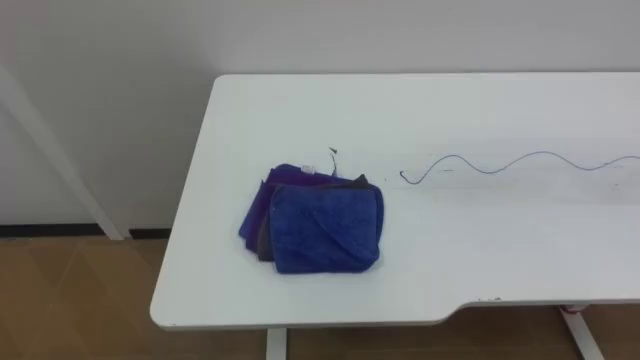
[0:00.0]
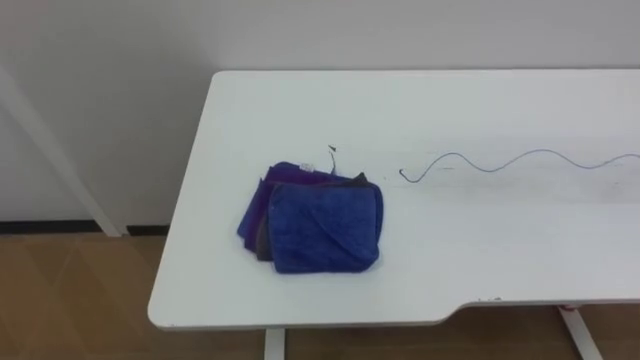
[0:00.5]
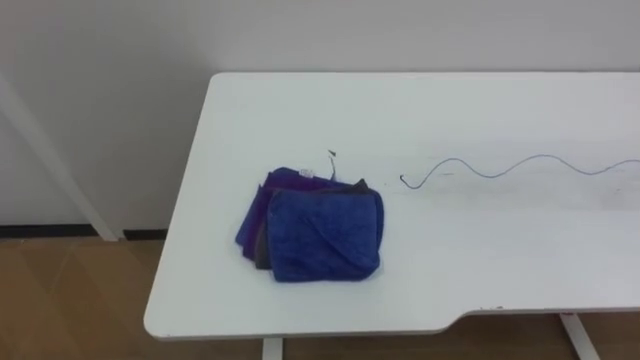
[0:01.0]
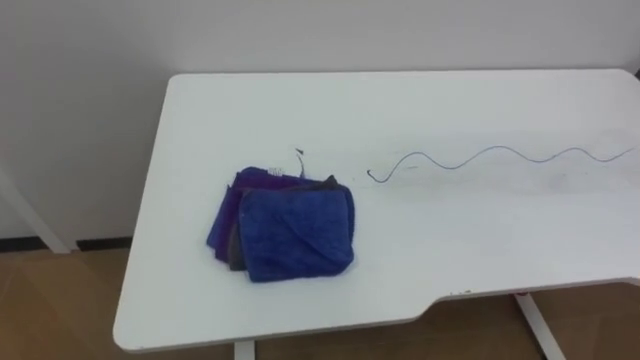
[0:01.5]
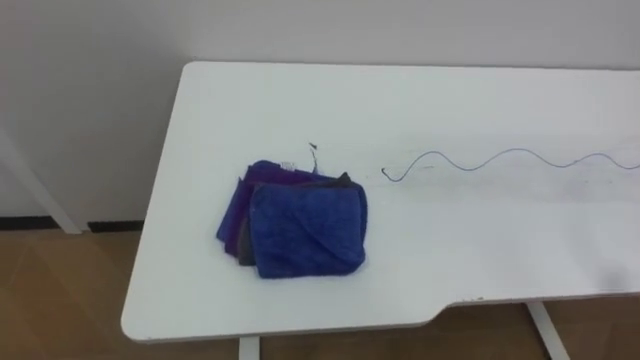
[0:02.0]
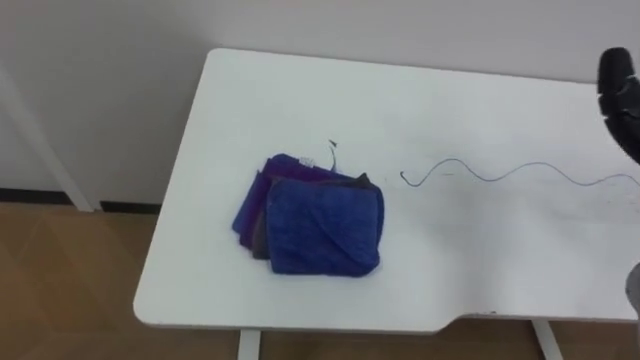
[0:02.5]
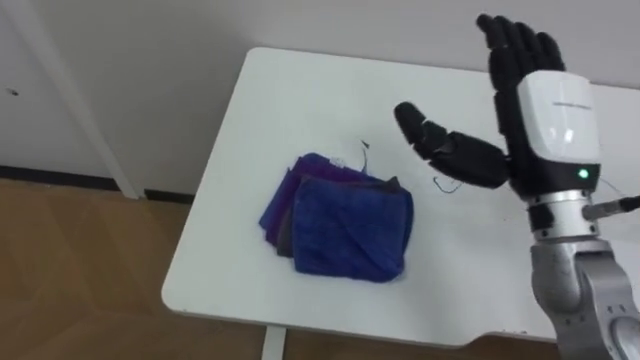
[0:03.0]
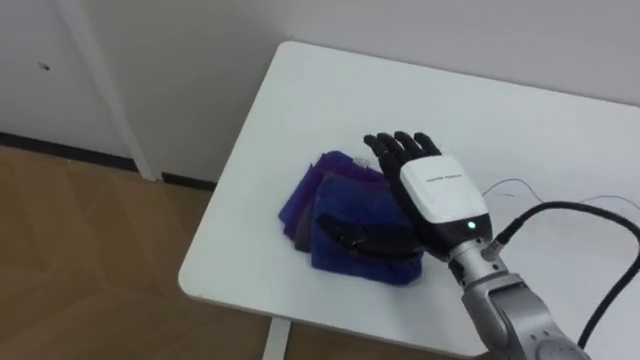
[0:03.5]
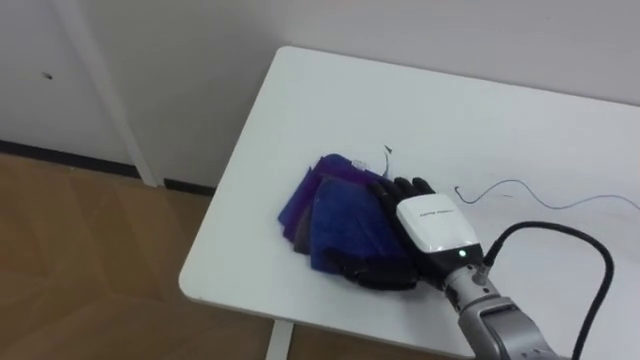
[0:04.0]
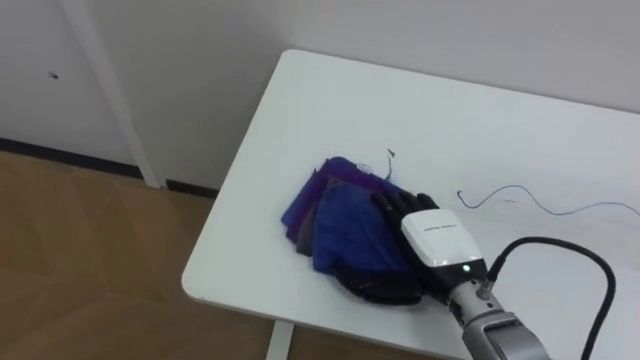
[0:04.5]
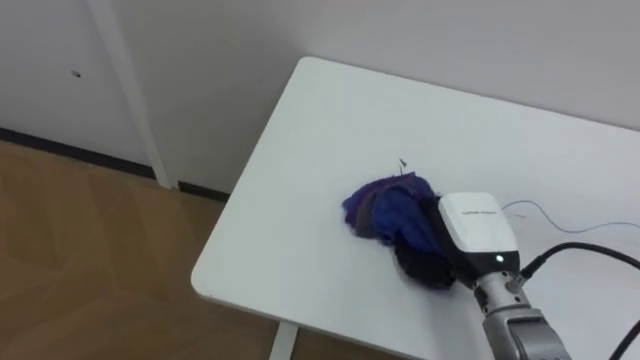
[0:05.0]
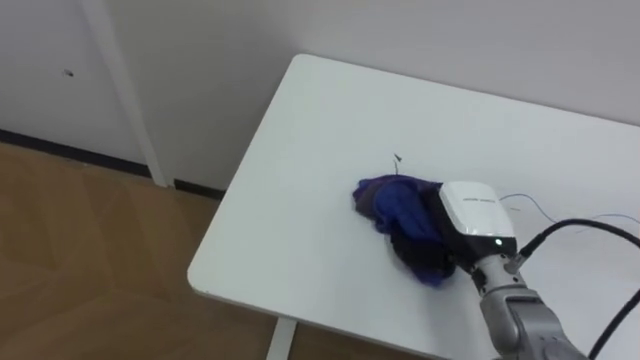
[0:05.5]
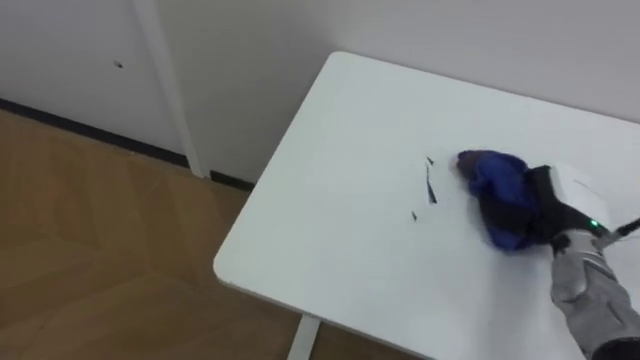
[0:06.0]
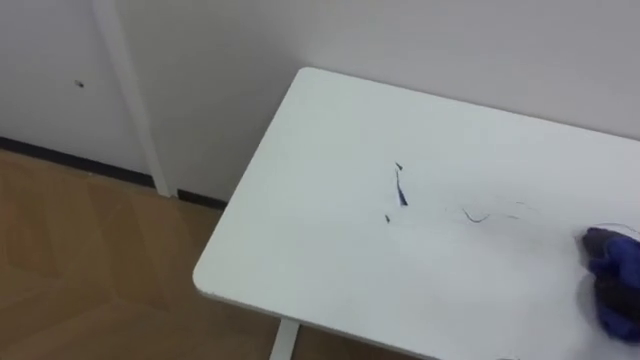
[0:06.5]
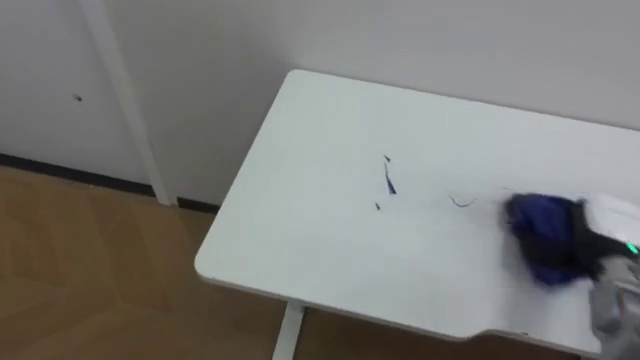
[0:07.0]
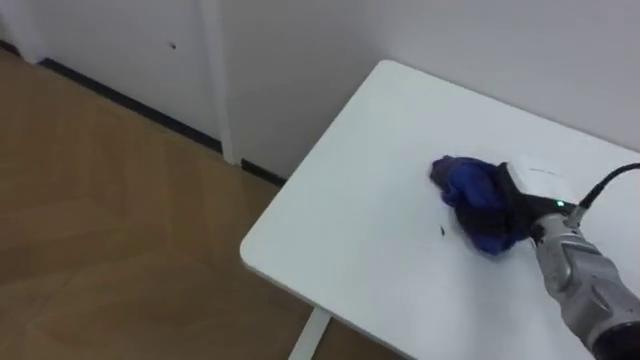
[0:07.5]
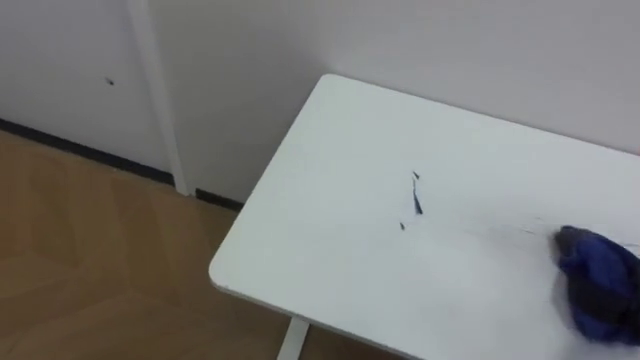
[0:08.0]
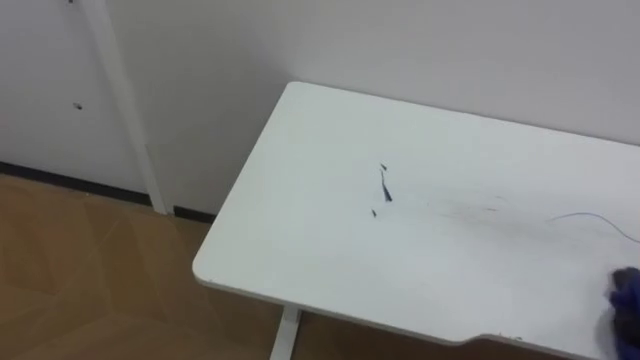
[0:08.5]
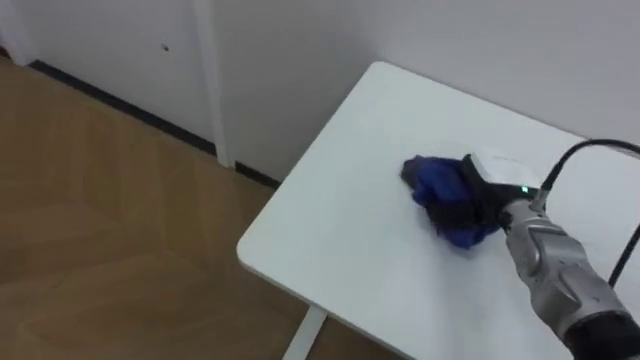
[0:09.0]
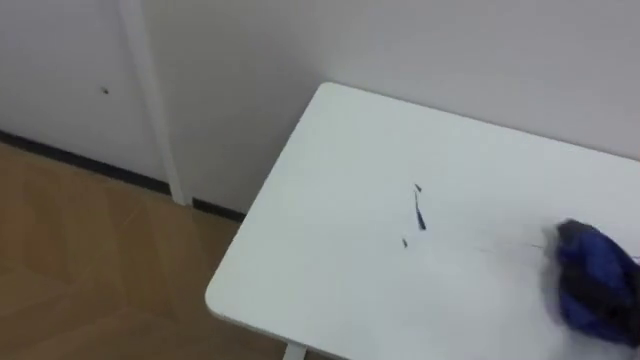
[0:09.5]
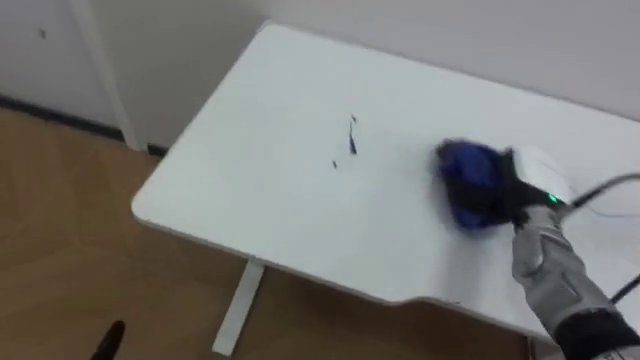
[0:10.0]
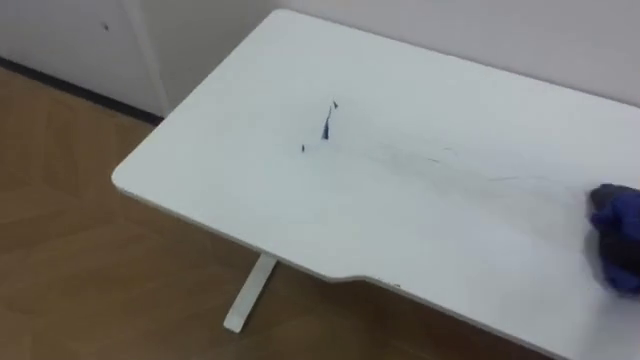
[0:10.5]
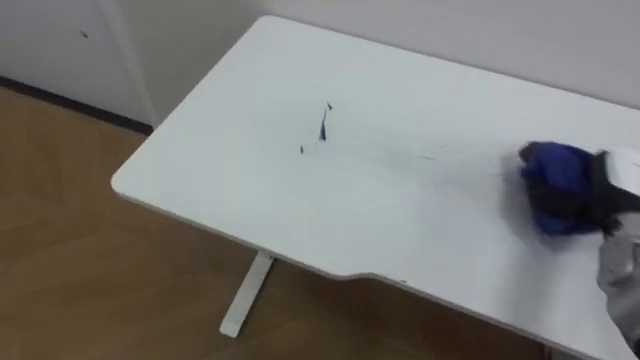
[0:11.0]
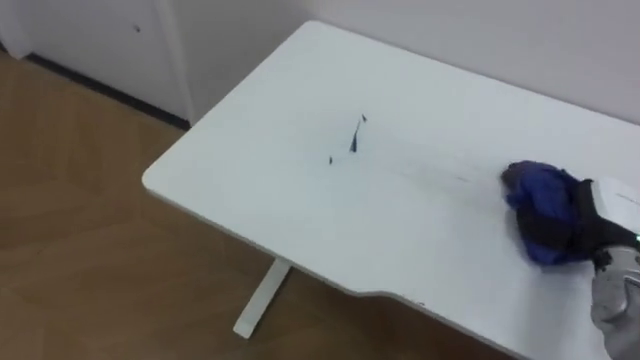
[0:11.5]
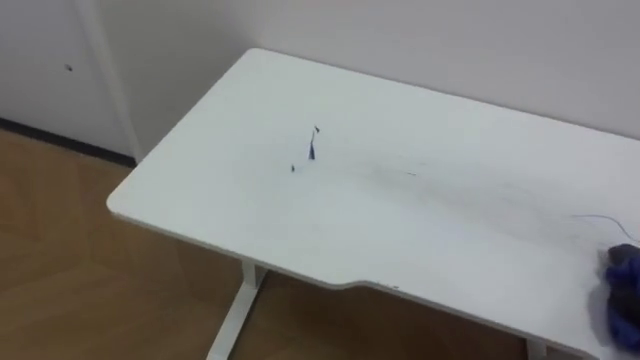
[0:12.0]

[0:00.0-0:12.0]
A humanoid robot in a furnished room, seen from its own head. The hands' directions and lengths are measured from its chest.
Task of the whole recording: Wipe the blue pen marks off the table with the rag.
0:04.0 to 0:06.0: The right hand travels to the right by roughly 20 cm, and closes up.

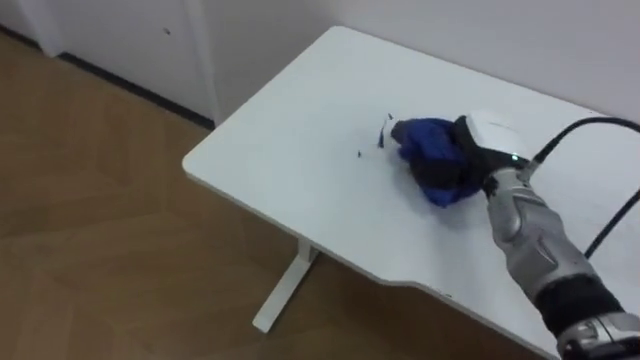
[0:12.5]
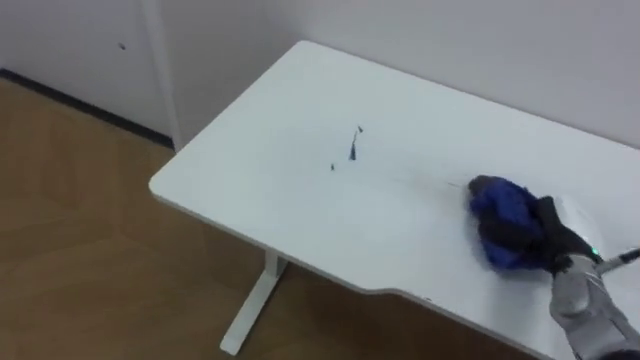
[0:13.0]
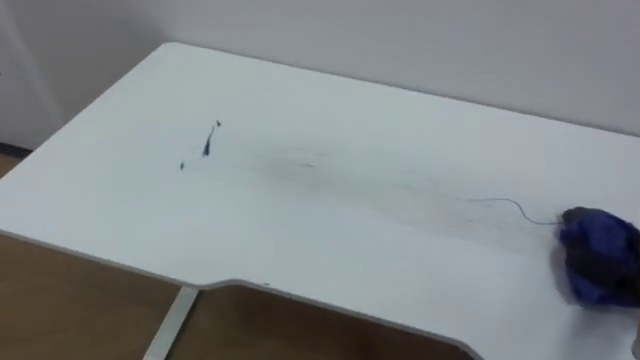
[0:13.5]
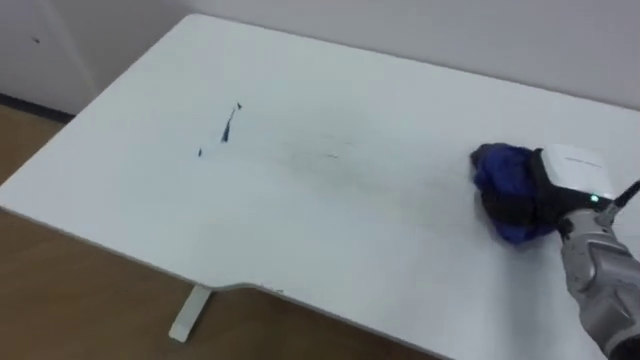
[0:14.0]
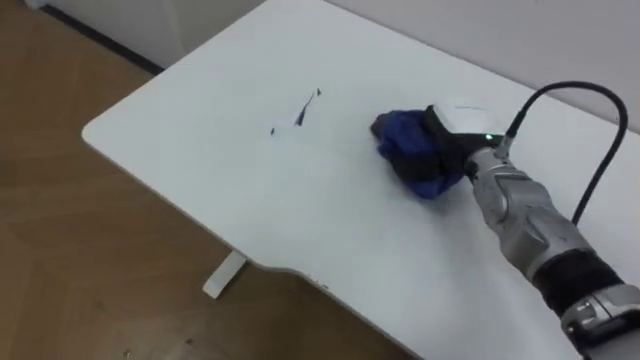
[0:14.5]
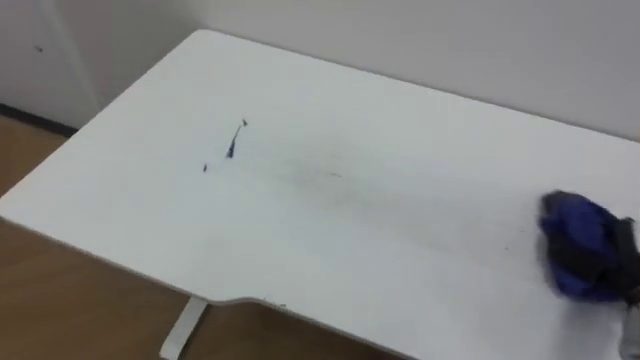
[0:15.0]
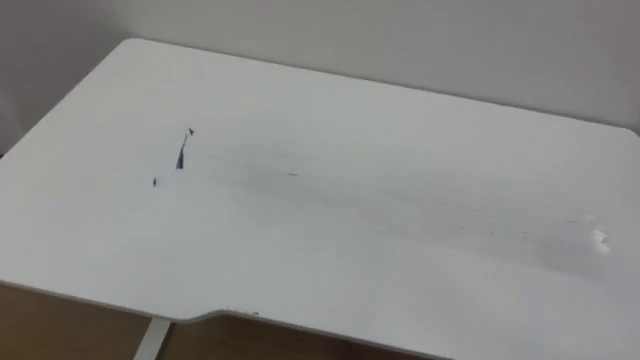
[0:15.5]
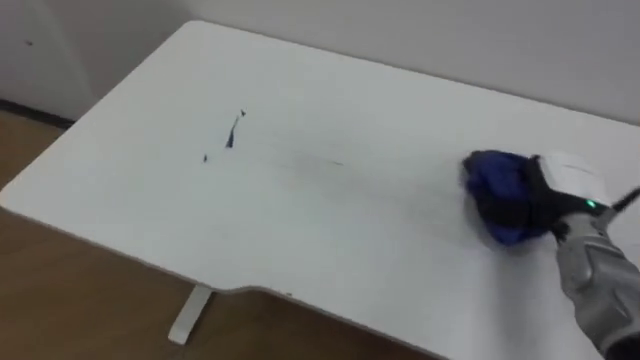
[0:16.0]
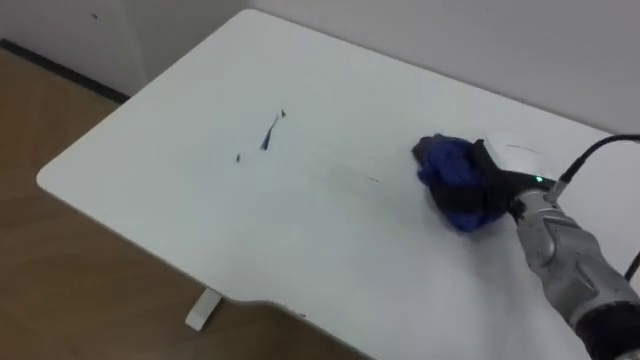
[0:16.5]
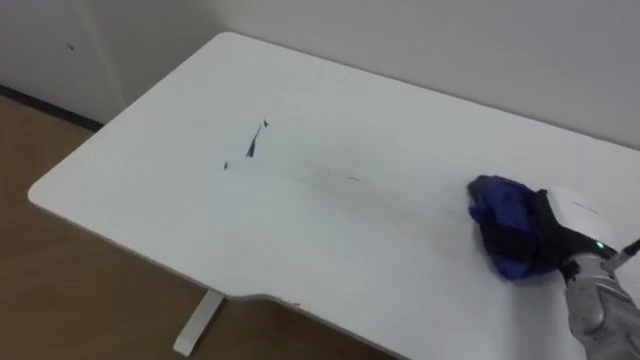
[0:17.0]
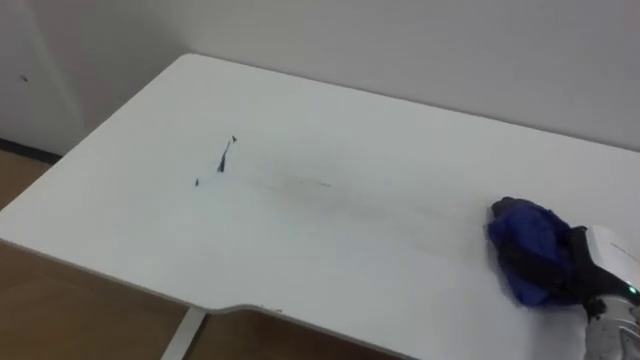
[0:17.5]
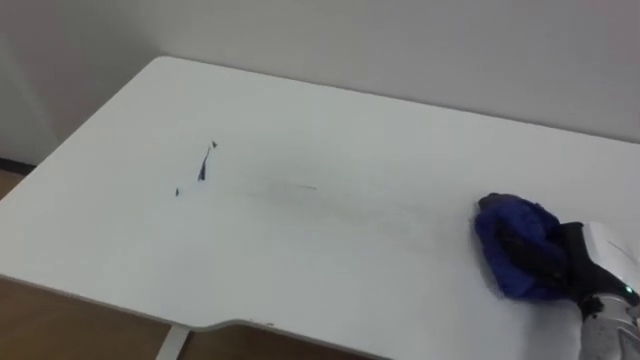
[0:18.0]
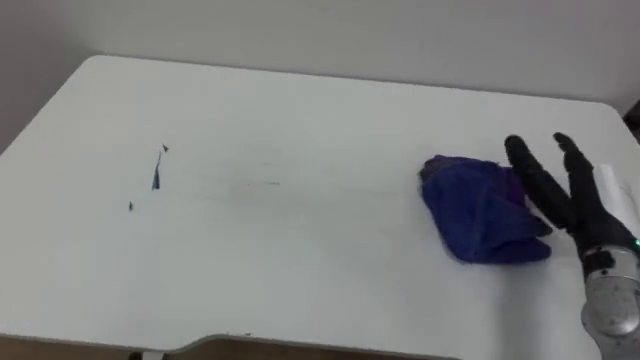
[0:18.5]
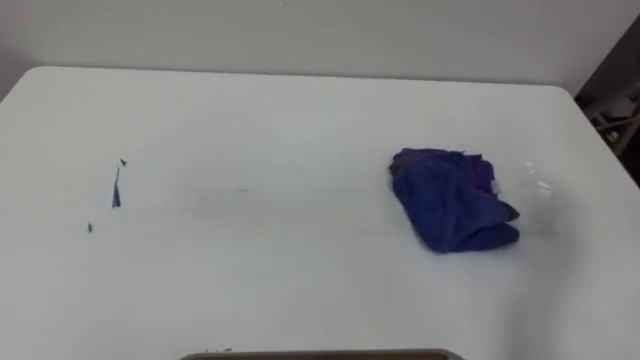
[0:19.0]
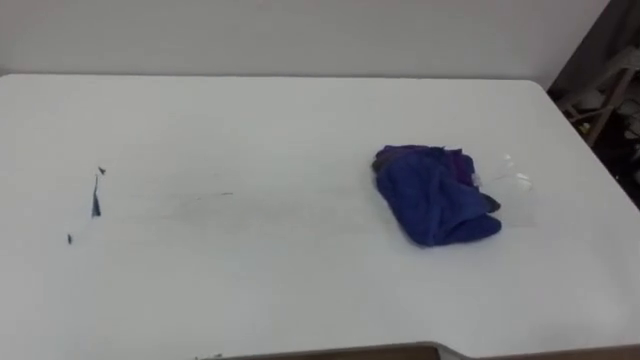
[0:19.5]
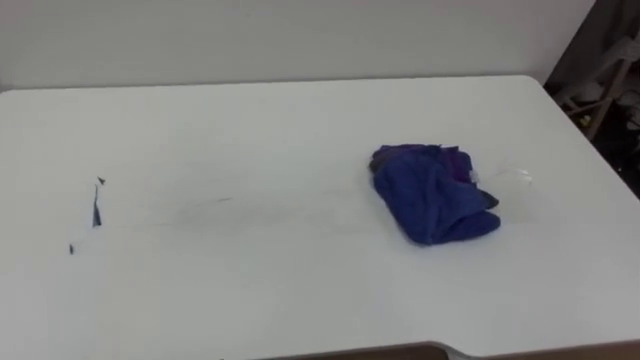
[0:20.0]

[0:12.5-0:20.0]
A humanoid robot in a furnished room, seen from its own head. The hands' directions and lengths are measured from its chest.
Task of the whole recording: Wipe the blue pen marks off the table with the rag.
0:16.5 to 0:18.0: The right hand goes about 15 cm backward, to the right and downward, and opens.

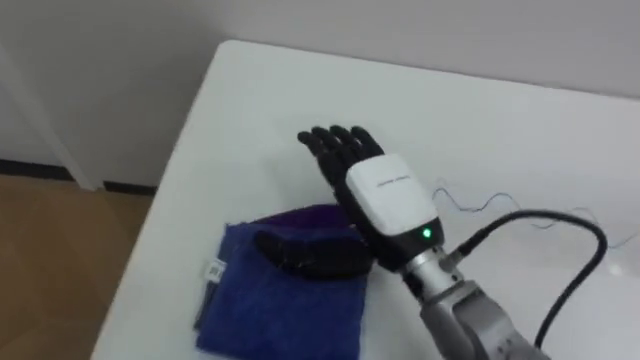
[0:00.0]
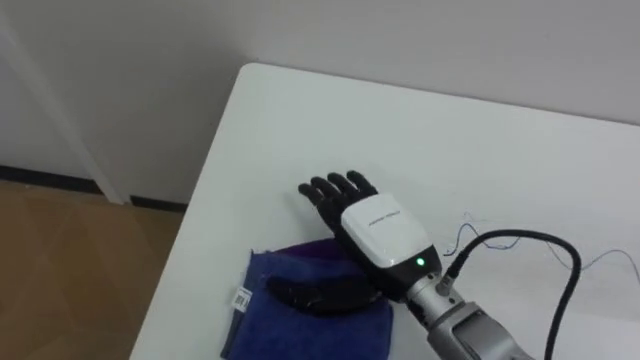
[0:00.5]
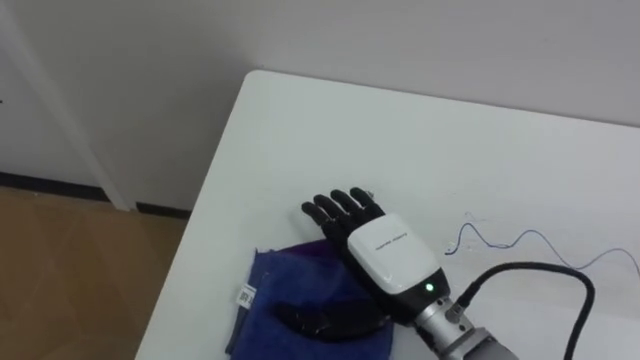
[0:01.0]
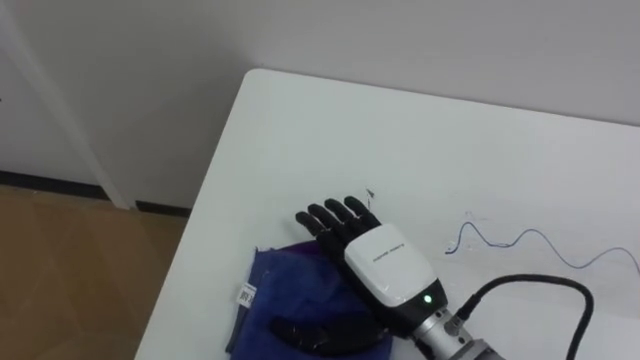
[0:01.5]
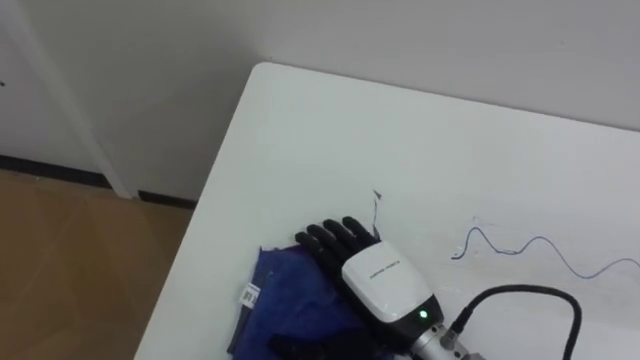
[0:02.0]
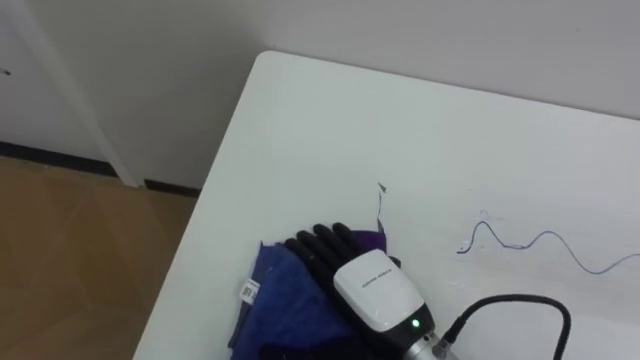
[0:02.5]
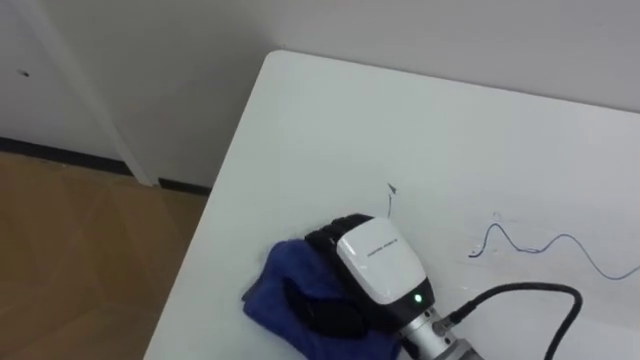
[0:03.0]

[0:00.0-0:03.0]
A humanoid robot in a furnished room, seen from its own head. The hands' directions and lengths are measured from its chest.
Task of the whole recording: Wipe the blue pen marks off the table with the rag.
0:00.0 to 0:01.5: The right hand moves downward, roughly 5 cm.
0:01.5 to 0:03.0: The right hand closes its fingers.
